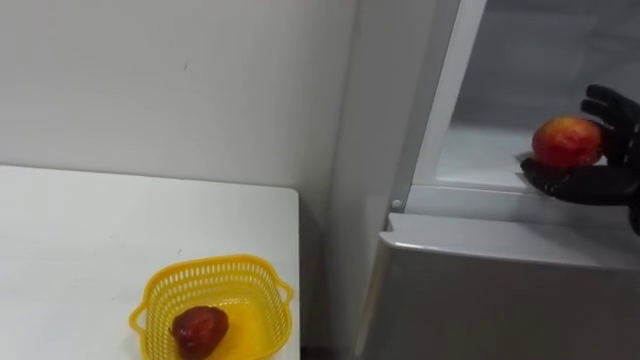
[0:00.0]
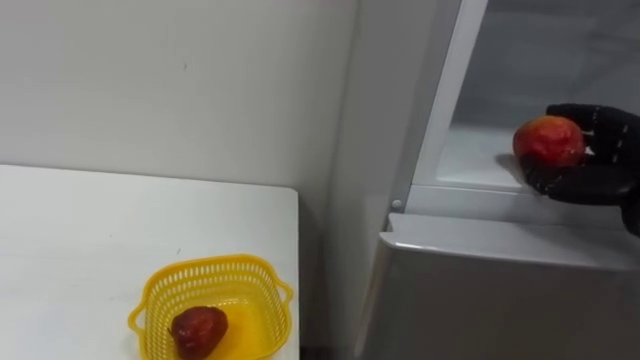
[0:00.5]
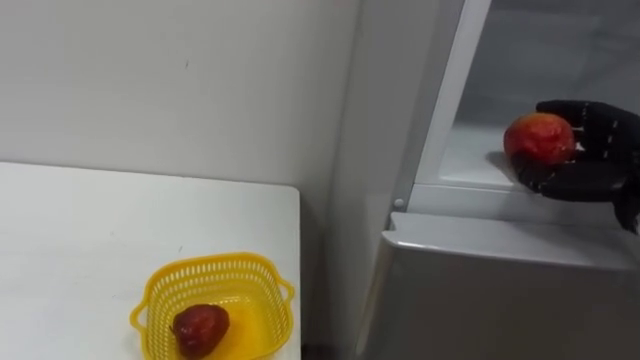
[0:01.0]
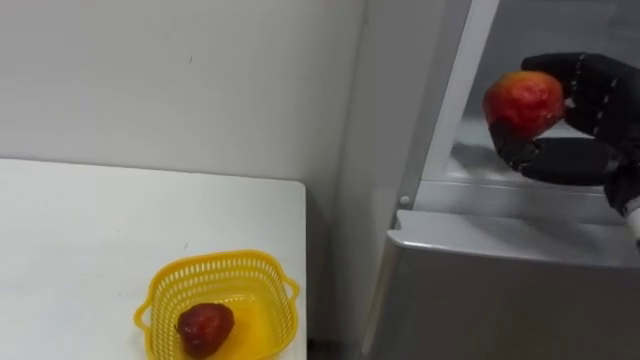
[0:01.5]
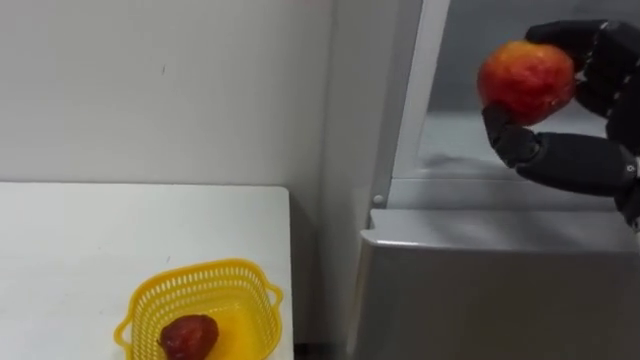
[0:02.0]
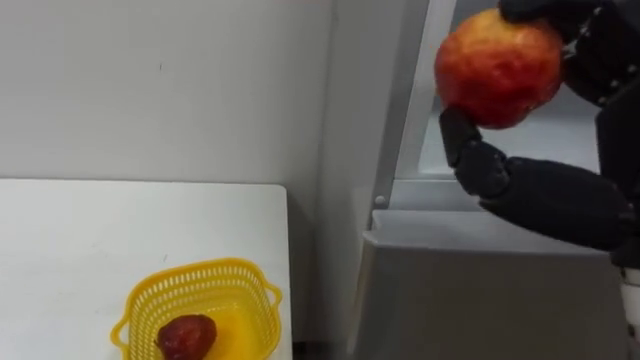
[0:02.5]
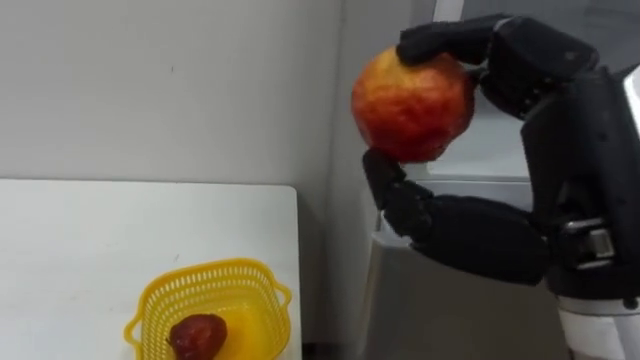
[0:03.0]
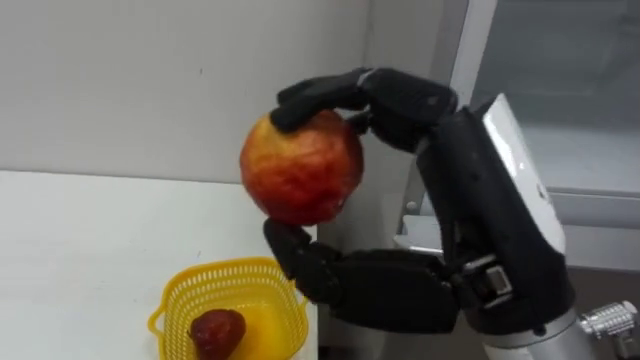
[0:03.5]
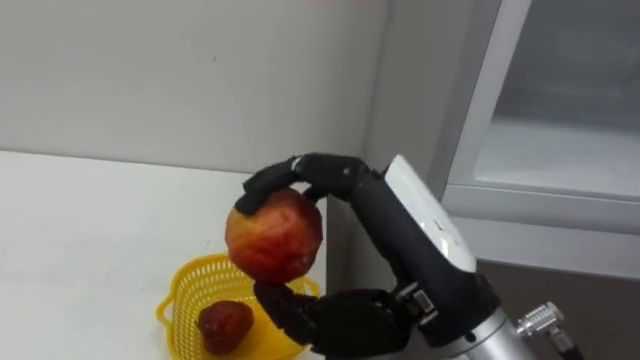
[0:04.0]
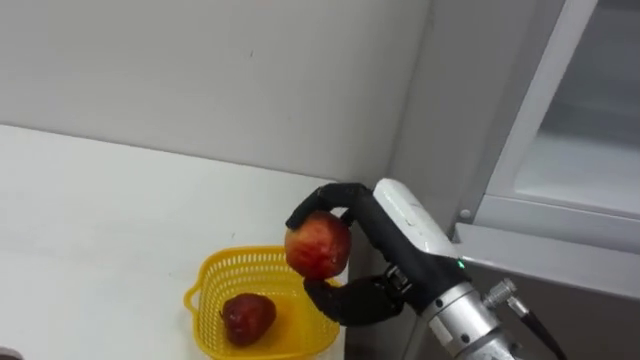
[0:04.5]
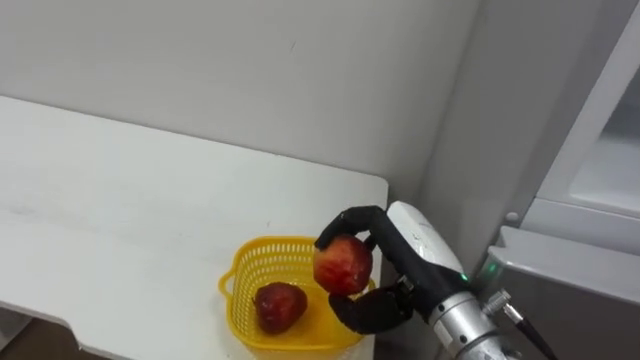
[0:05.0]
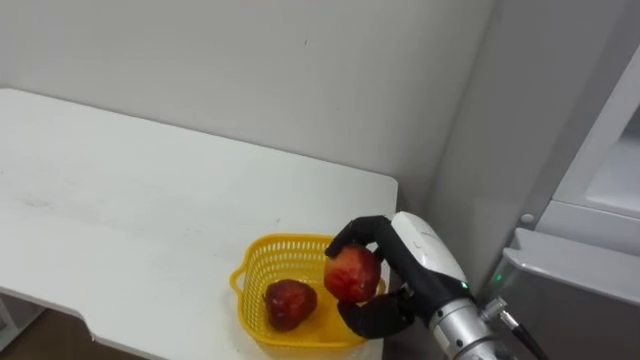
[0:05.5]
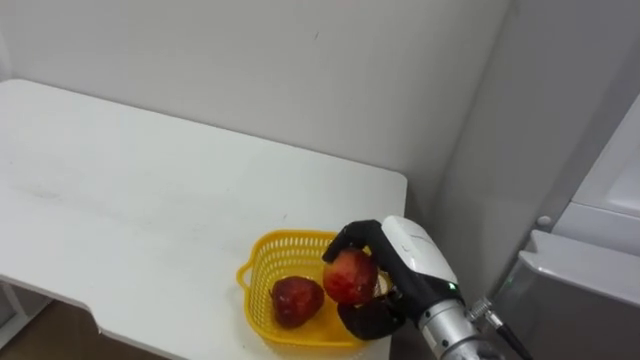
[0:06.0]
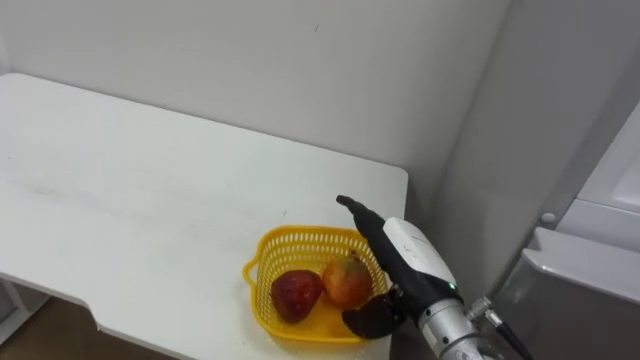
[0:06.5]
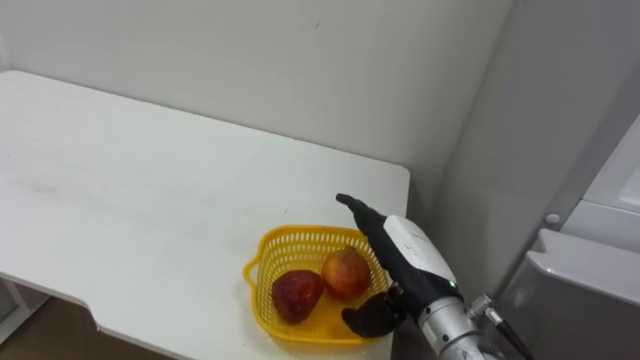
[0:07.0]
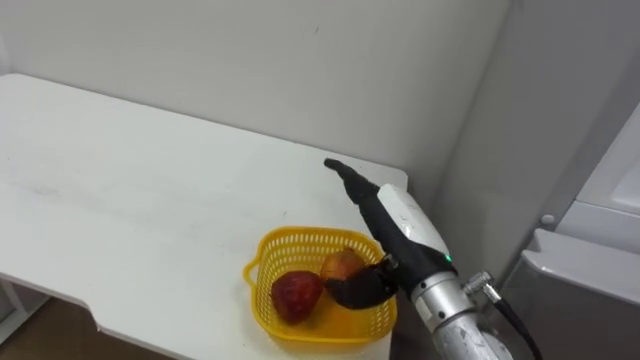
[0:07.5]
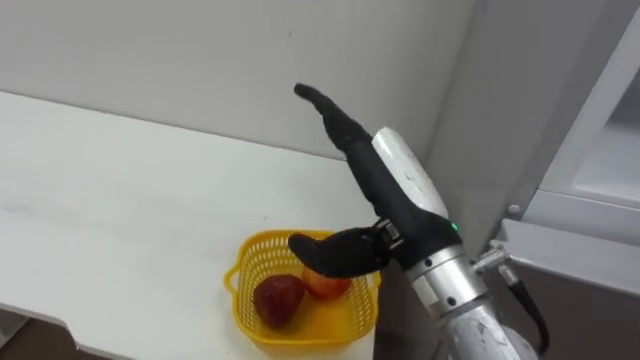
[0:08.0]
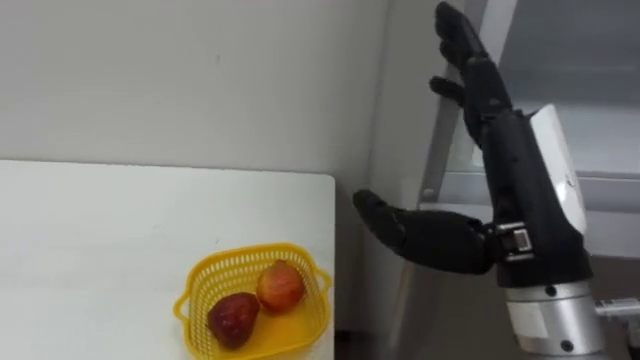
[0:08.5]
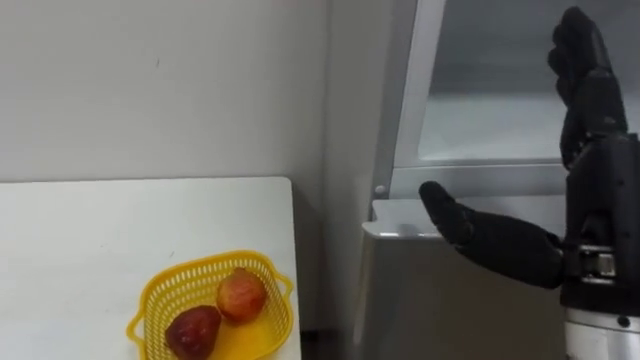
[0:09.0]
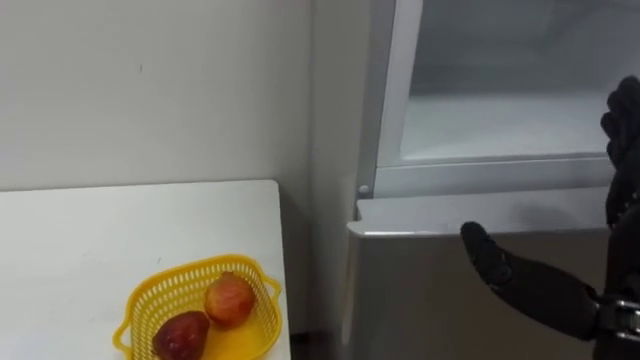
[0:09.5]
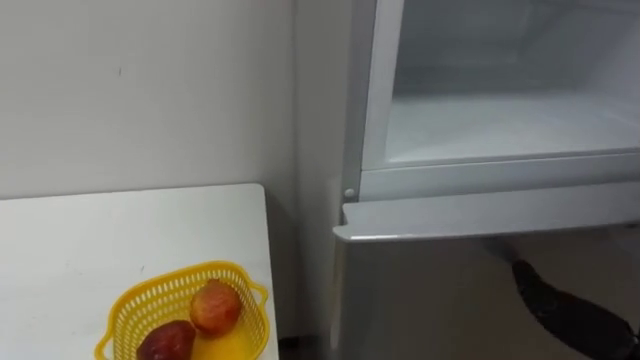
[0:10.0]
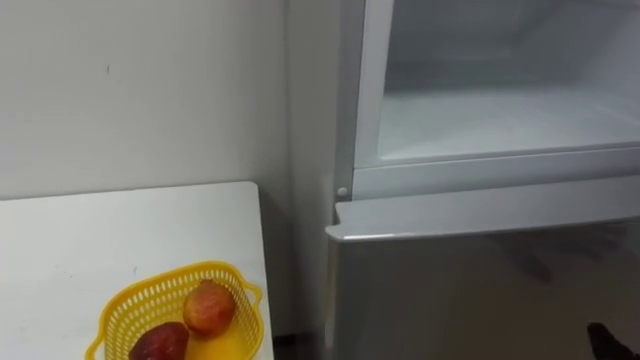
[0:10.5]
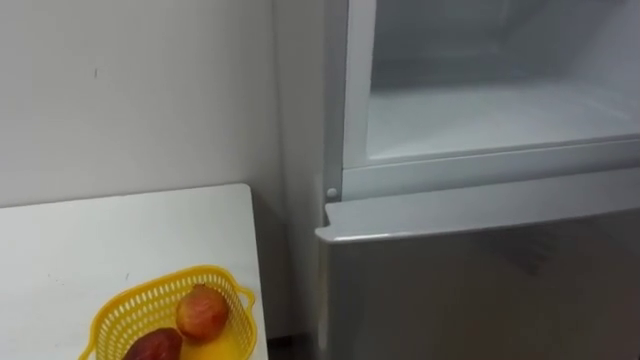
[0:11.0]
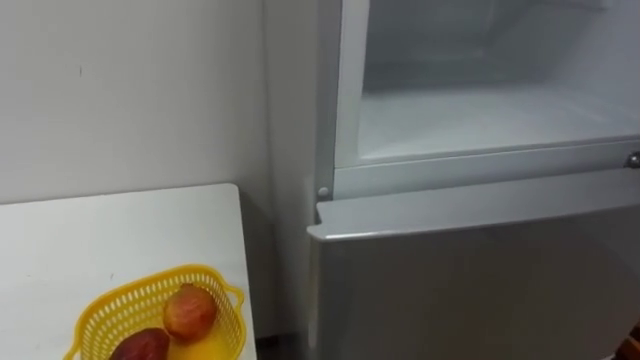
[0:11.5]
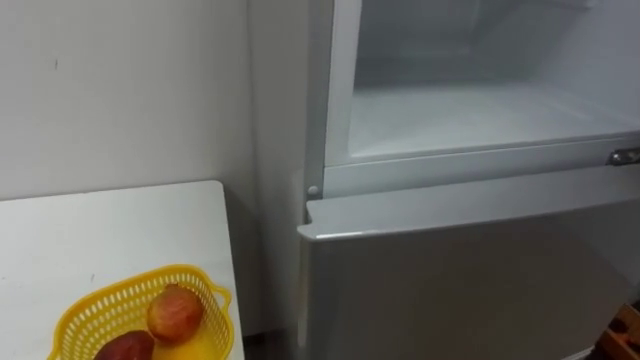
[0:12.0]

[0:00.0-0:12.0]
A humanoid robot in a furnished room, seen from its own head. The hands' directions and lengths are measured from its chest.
Task of the whole recording: Open the refrigerator door, take out the apple and the pomegranate, place them in the fruit basket on the left, and close the refrigerator door.
0:04.0 to 0:06.0: The right hand travels downward and forward by some 20 cm.
0:06.0 to 0:08.0: The right hand moves upward, roughly 10 cm, and opens up.

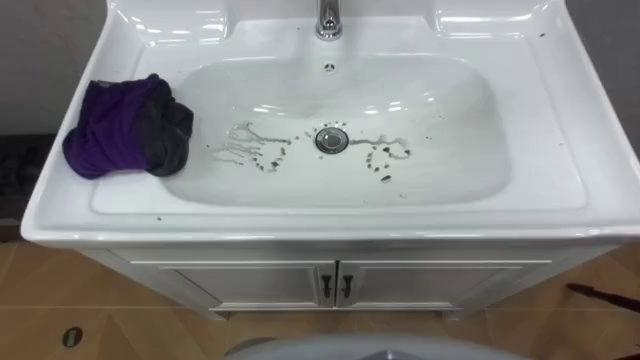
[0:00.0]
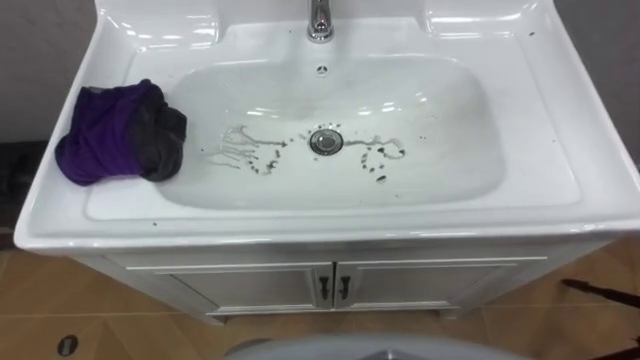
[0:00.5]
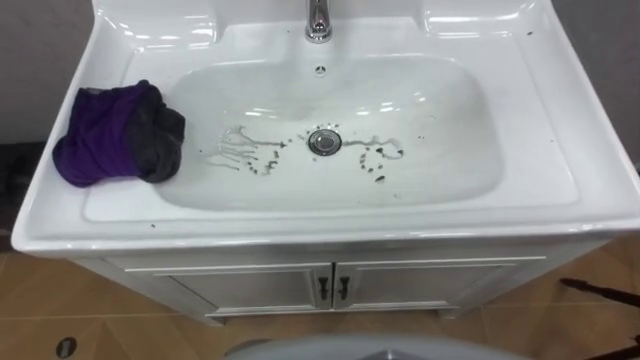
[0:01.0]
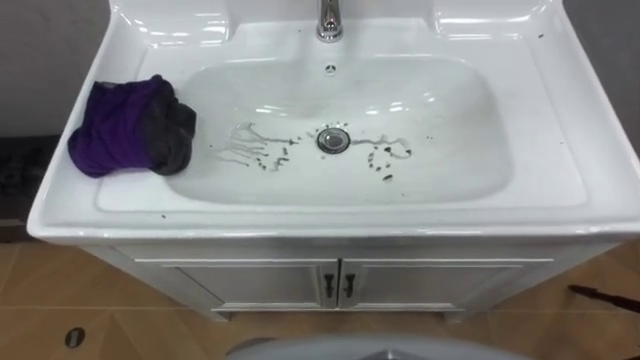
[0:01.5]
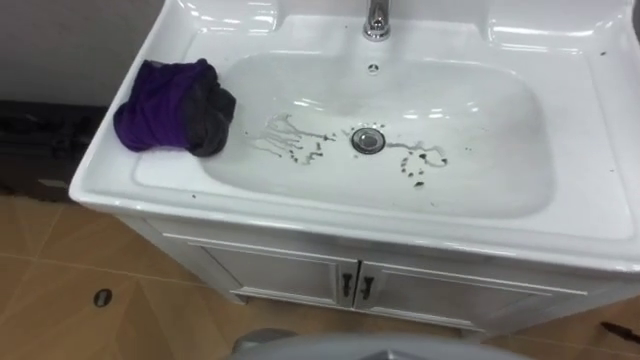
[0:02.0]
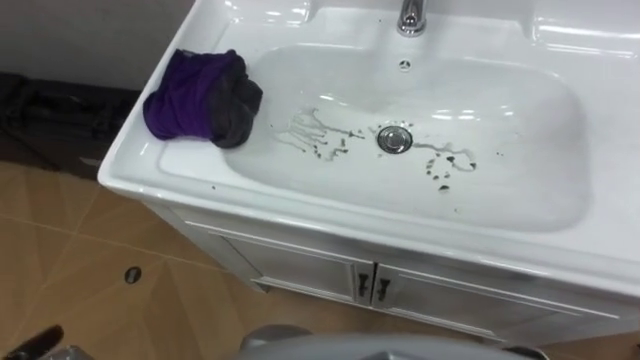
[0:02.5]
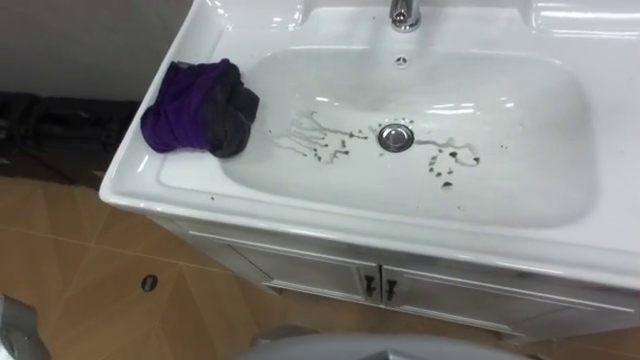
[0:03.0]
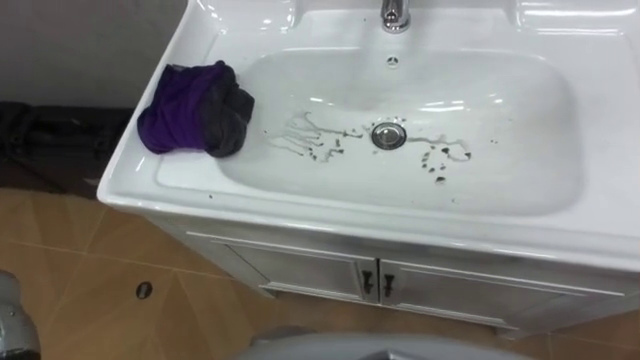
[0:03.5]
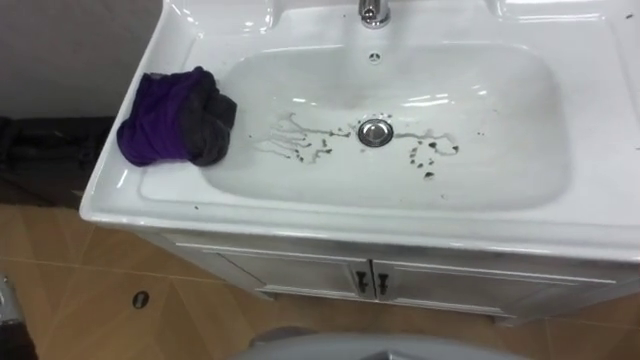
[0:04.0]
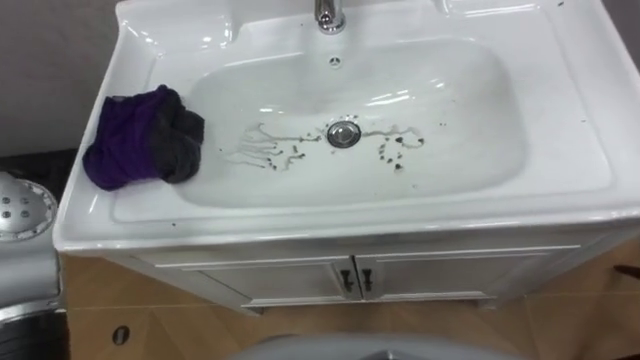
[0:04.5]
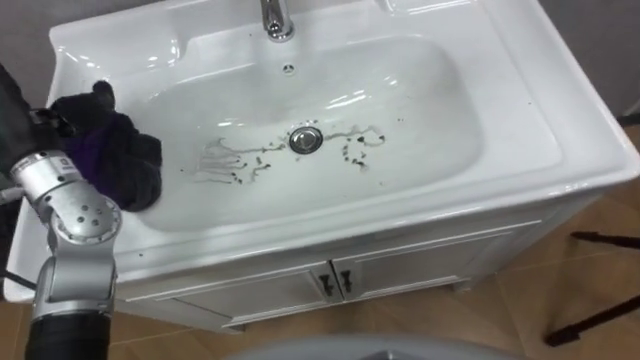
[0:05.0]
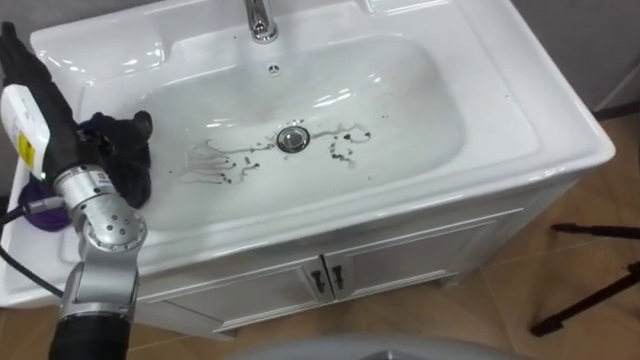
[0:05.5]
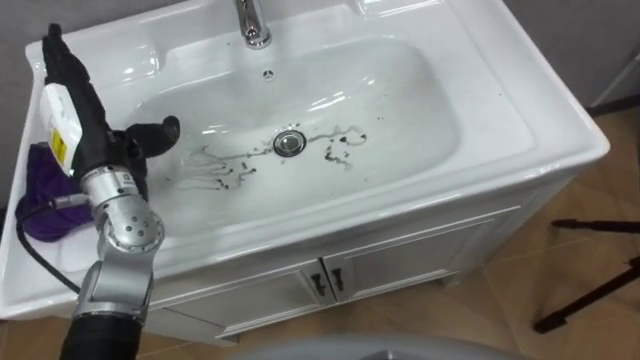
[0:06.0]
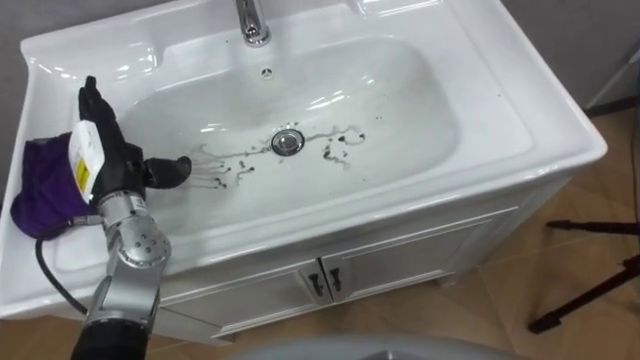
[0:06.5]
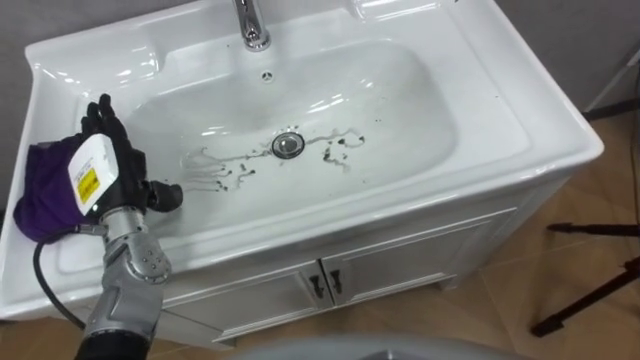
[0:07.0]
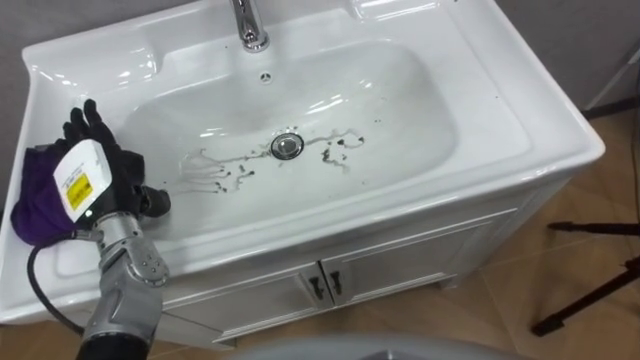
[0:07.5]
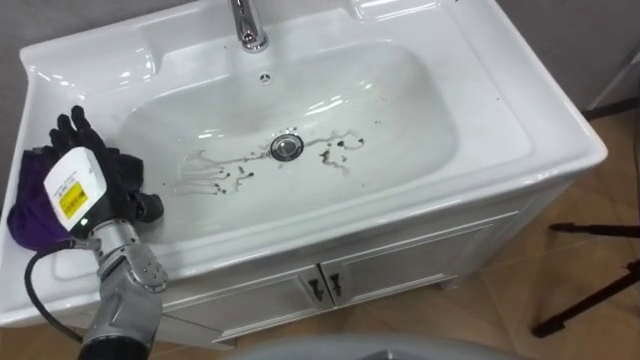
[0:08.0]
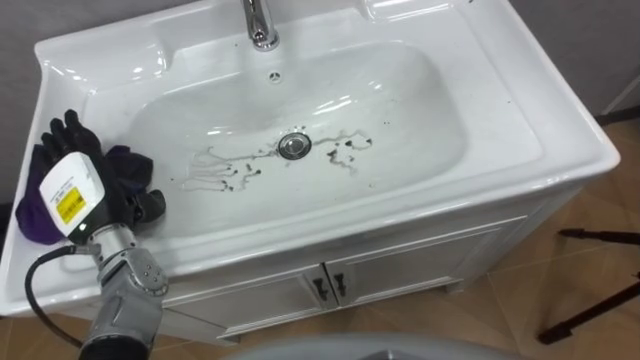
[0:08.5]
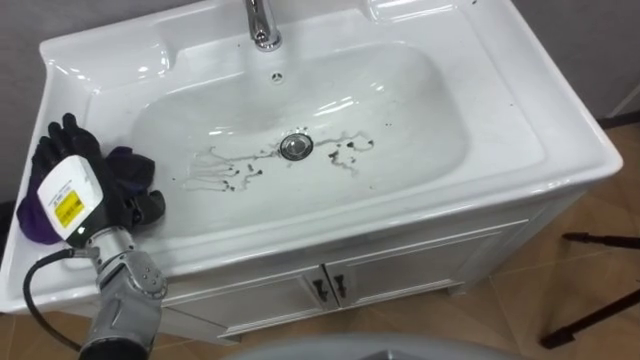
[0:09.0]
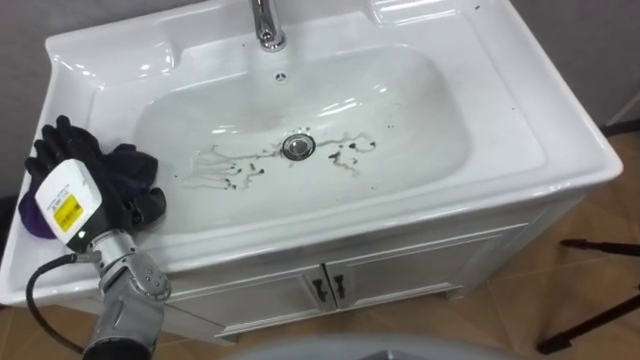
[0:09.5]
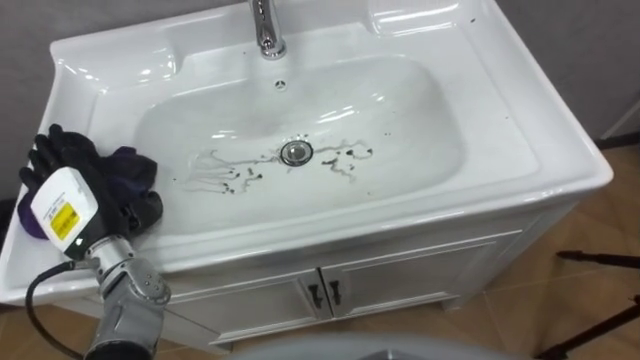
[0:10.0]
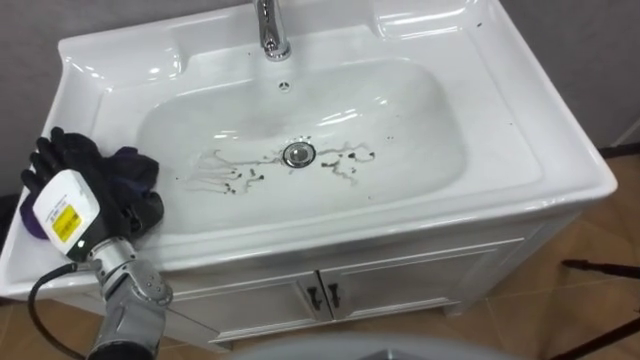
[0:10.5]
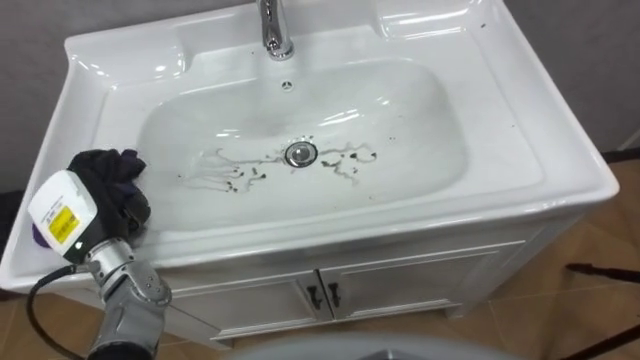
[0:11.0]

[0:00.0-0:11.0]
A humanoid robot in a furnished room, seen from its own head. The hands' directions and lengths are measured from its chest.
Task of the whole recording: Use the cloth on the right to wipe away the black stain in the sink.
0:05.5 to 0:07.5: The left hand is displaced downward by some 10 cm.
0:09.0 to 0:11.0: The left hand closes.
